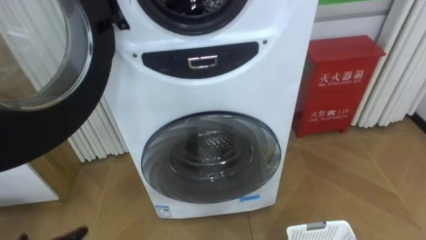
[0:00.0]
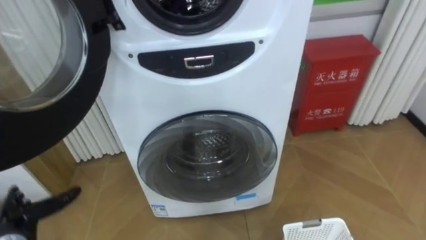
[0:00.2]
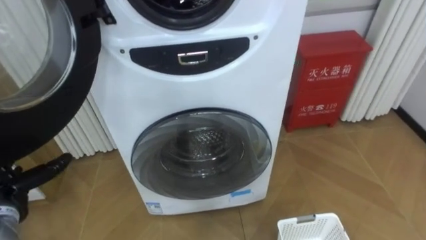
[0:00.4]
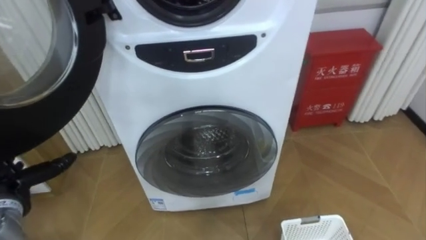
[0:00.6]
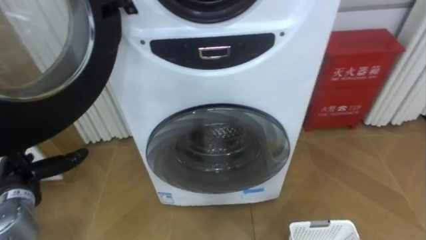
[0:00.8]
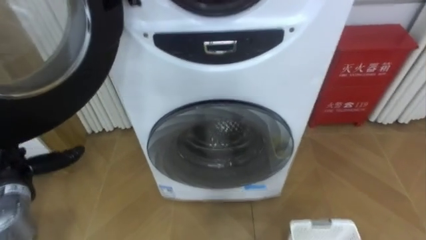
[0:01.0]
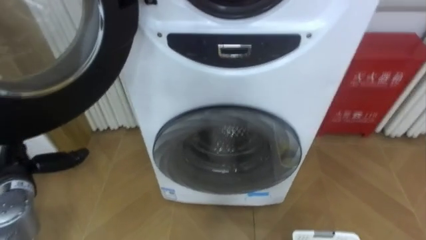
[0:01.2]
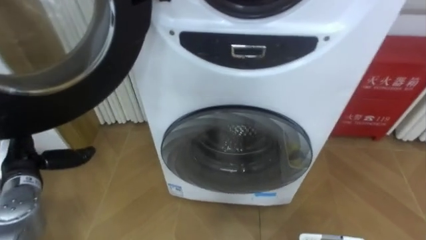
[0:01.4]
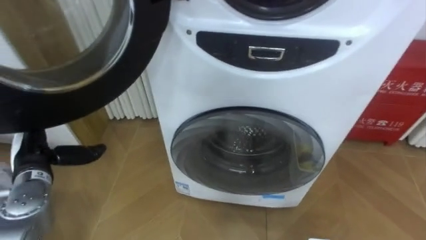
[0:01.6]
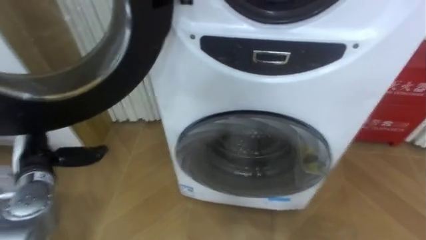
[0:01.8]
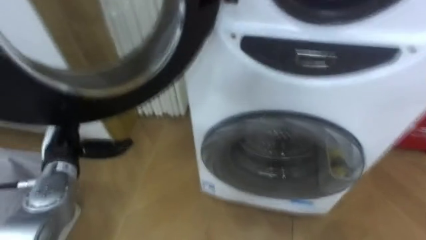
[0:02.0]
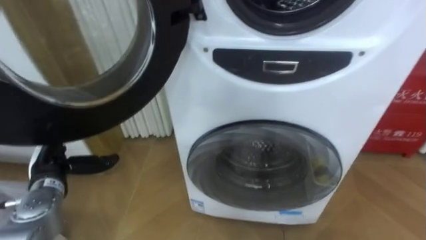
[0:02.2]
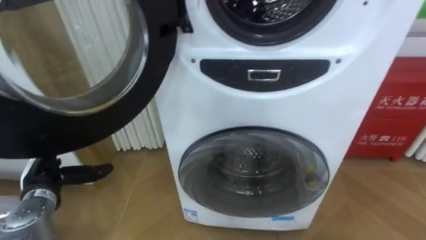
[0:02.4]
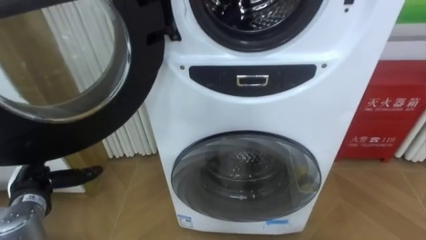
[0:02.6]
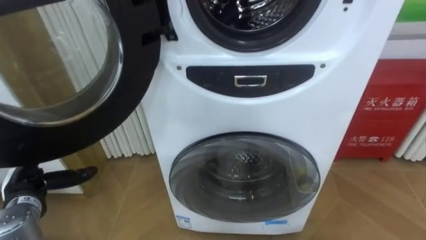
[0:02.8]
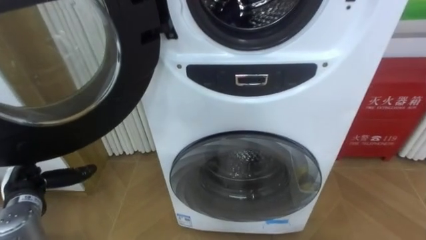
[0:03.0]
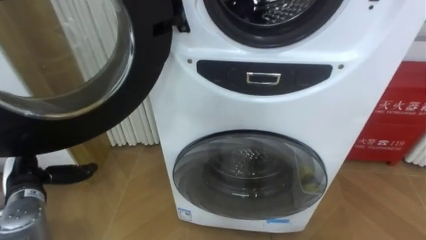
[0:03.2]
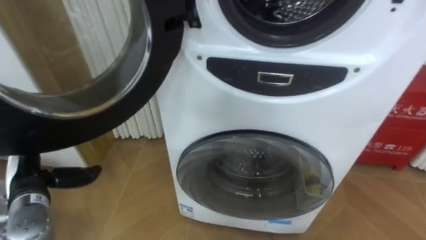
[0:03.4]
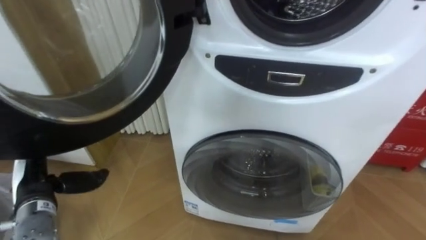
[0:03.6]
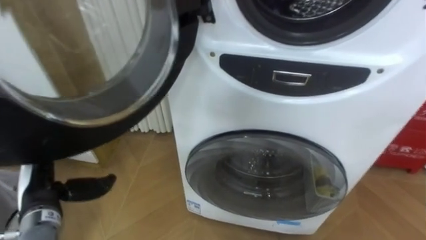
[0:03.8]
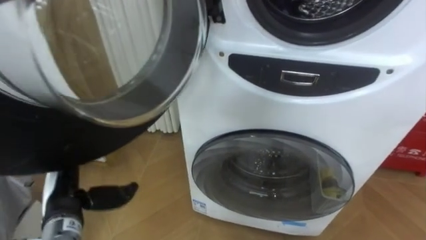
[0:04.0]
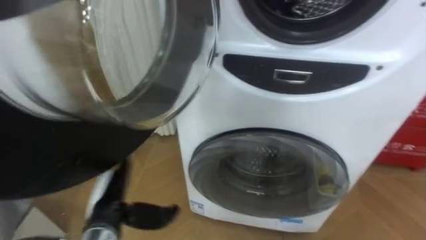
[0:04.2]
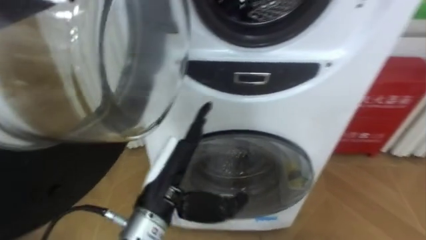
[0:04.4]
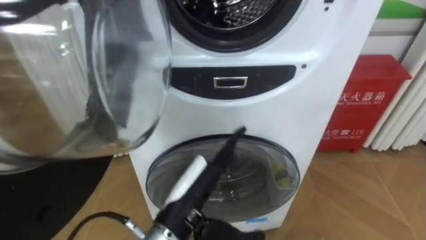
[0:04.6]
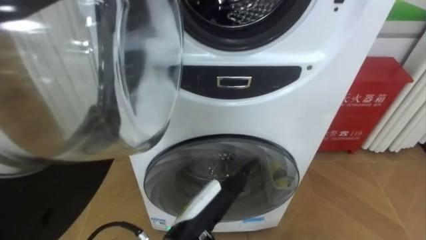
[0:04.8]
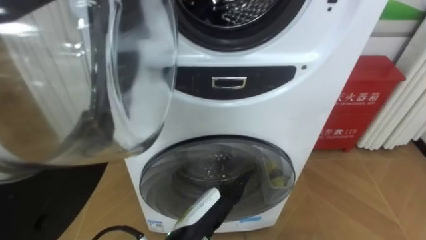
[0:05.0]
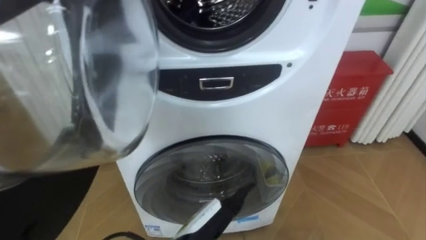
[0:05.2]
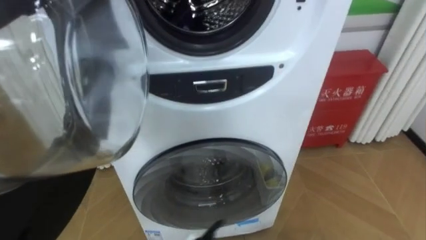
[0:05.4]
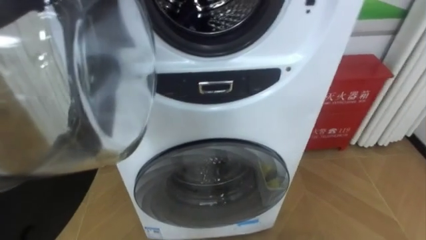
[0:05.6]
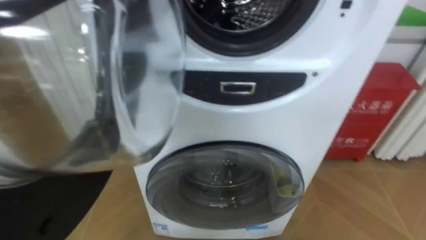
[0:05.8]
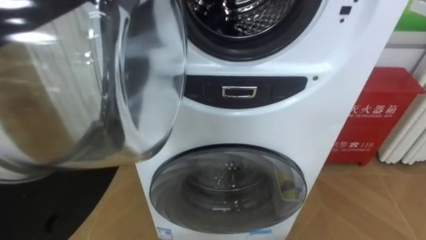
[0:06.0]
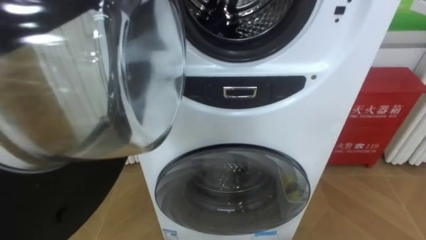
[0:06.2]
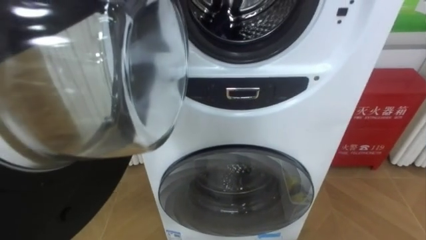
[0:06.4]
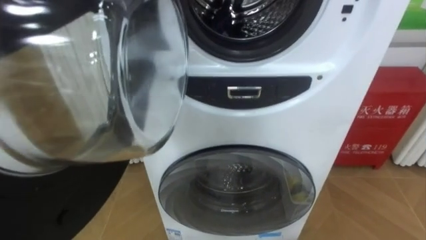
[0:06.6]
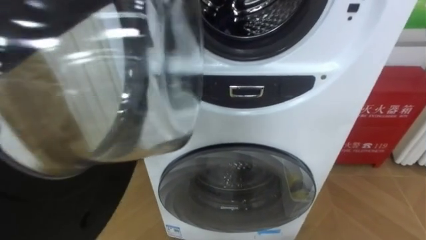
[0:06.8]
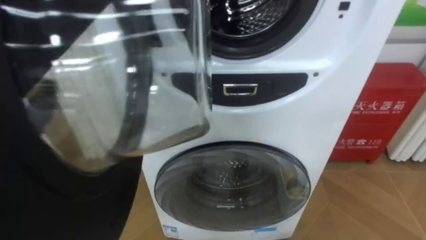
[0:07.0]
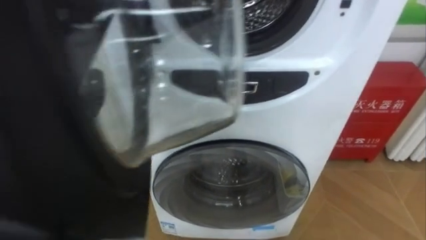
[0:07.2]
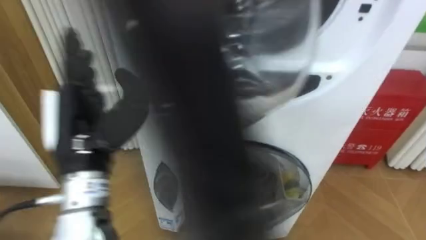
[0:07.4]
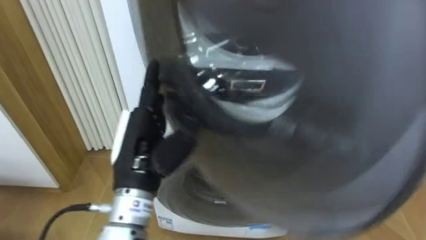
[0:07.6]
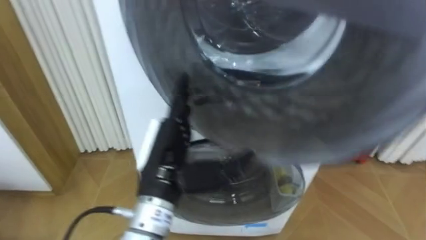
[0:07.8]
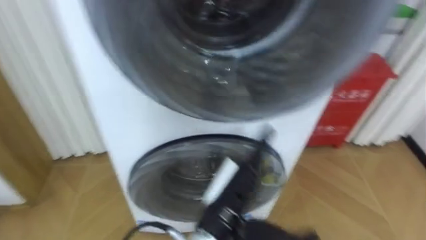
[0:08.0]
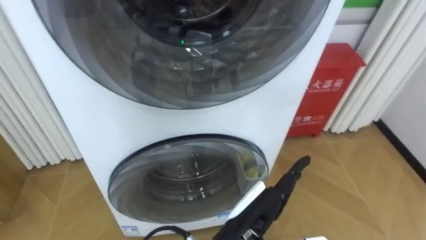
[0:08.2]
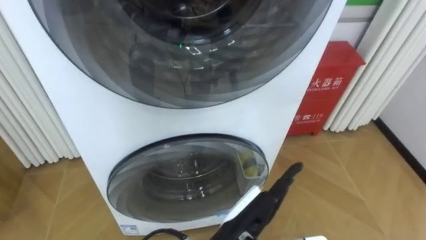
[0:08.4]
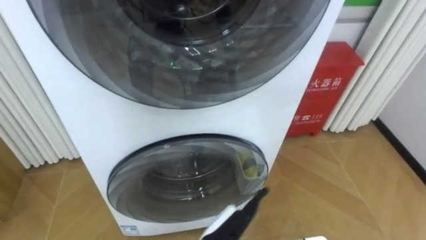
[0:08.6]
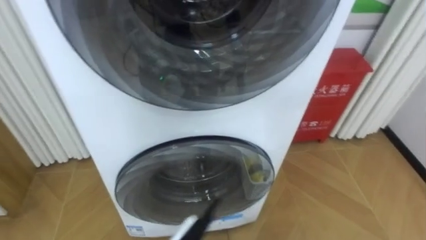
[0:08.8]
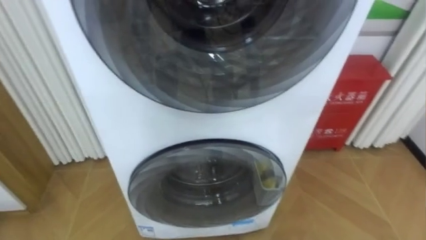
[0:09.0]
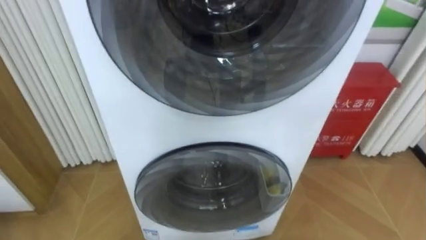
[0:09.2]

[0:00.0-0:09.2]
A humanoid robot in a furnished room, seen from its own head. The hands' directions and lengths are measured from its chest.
Task of the whole recording: Open the washing machine door, take out the yellow clothes, place them in the box on the right, and close the washing machine door.
0:01.6 to 0:03.0: The left hand shifts about 5 cm downward.
0:03.0 to 0:04.6: The left hand heads to the right, covering about 30 cm.

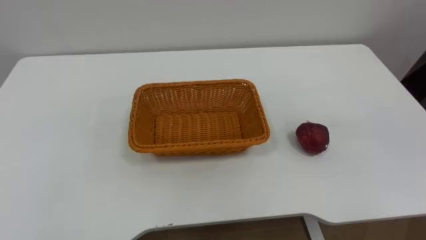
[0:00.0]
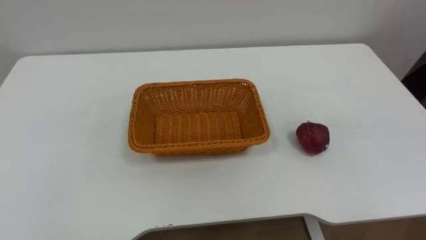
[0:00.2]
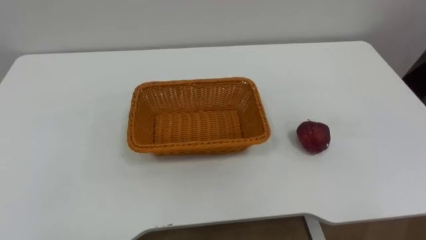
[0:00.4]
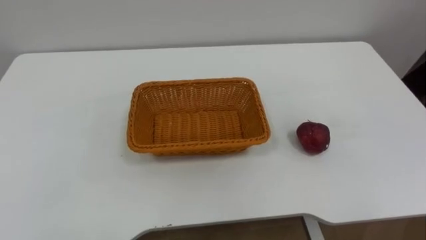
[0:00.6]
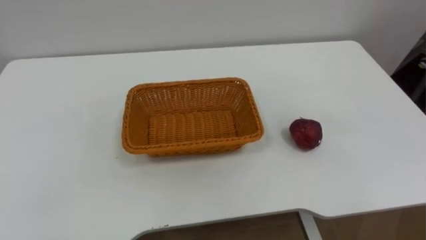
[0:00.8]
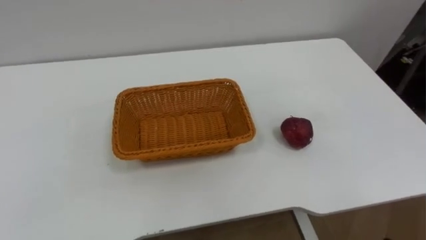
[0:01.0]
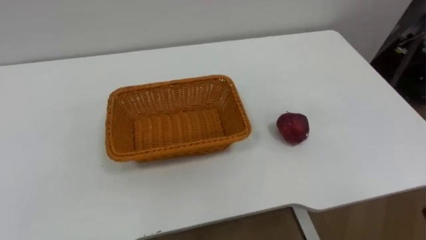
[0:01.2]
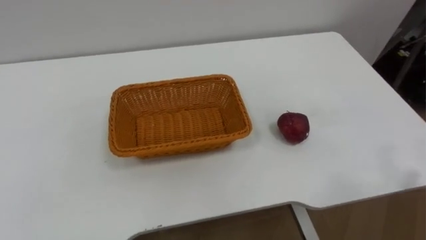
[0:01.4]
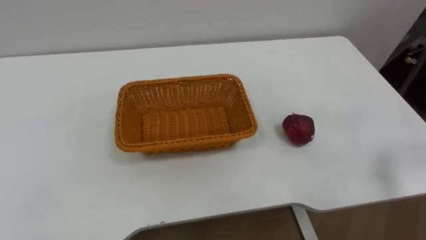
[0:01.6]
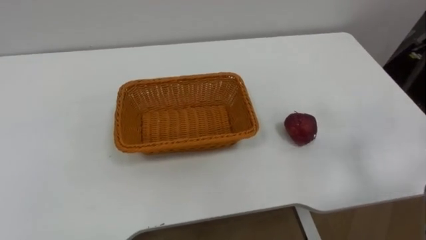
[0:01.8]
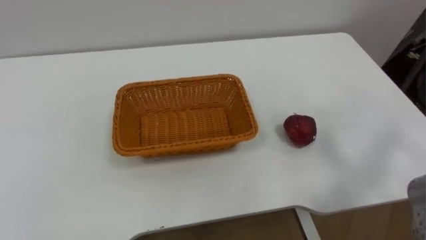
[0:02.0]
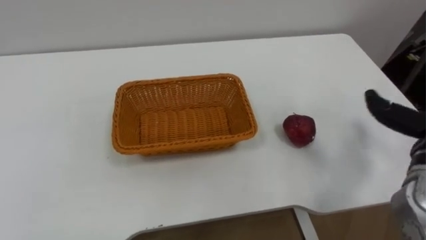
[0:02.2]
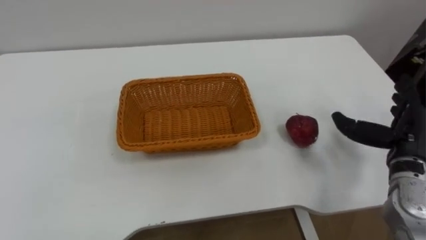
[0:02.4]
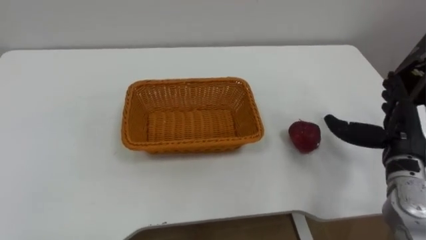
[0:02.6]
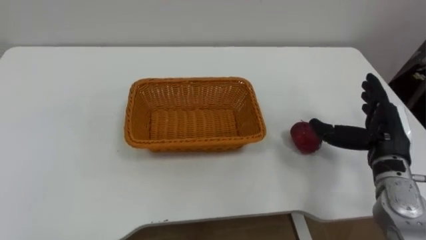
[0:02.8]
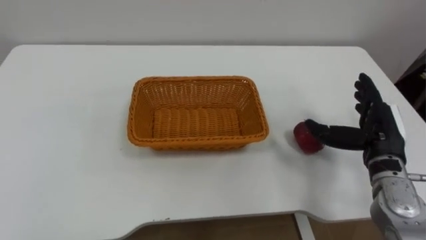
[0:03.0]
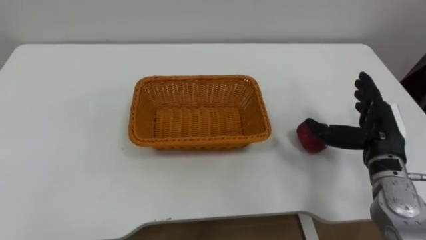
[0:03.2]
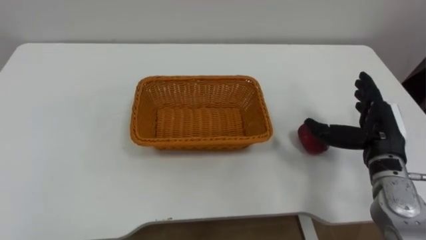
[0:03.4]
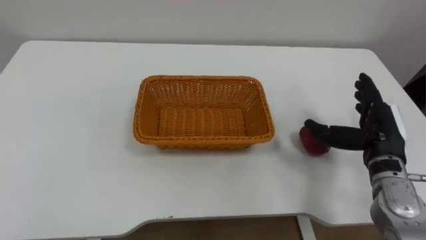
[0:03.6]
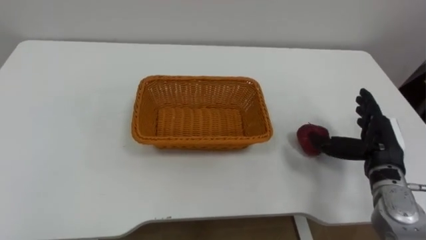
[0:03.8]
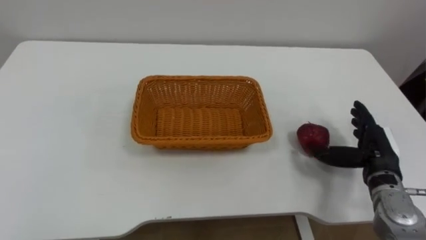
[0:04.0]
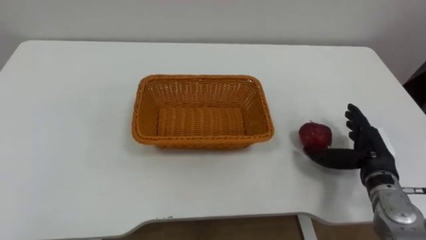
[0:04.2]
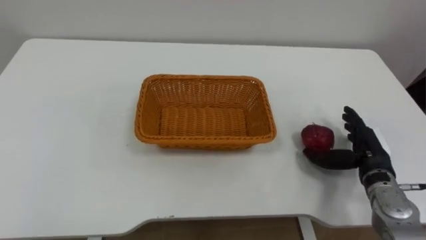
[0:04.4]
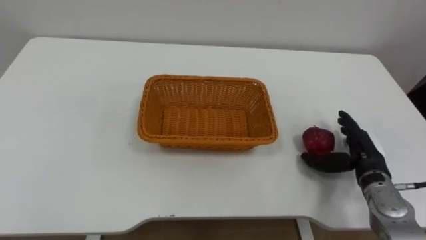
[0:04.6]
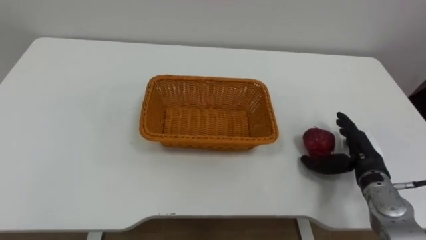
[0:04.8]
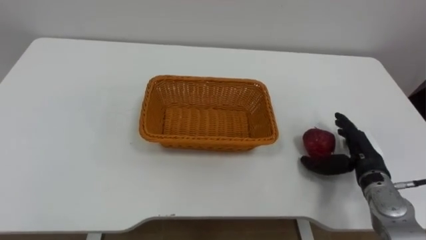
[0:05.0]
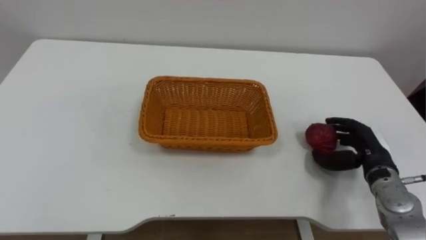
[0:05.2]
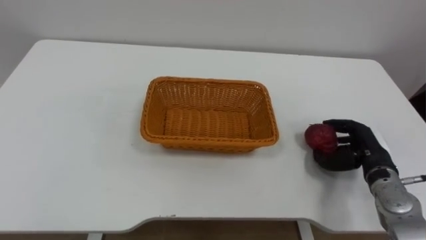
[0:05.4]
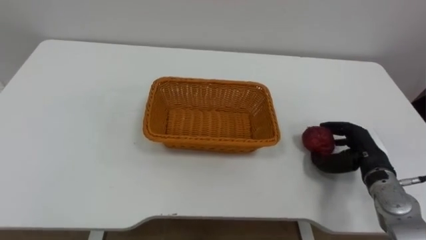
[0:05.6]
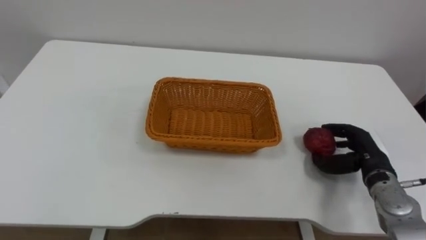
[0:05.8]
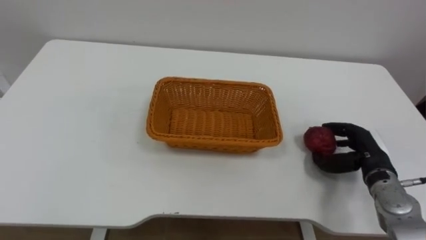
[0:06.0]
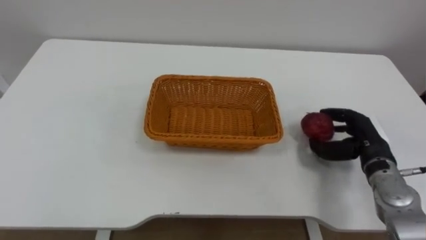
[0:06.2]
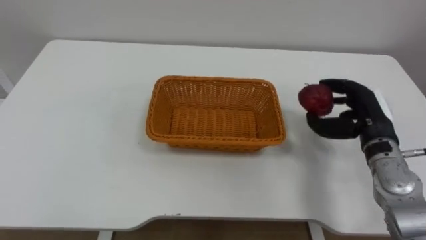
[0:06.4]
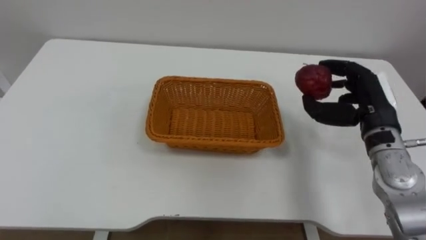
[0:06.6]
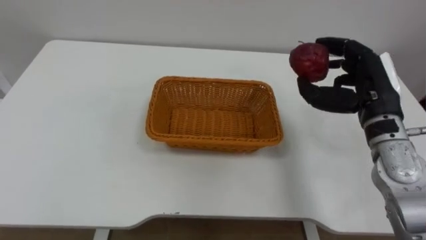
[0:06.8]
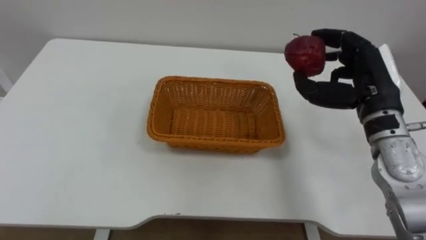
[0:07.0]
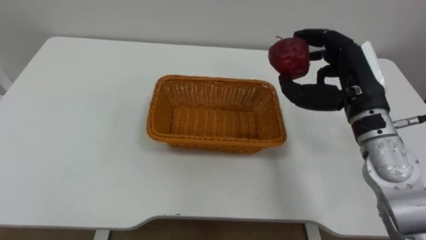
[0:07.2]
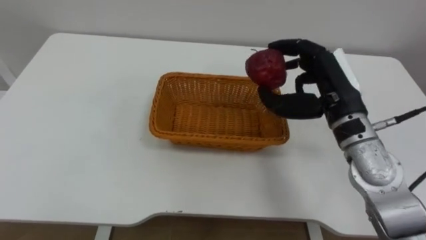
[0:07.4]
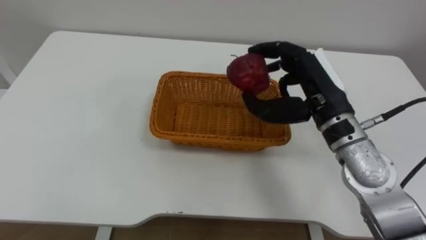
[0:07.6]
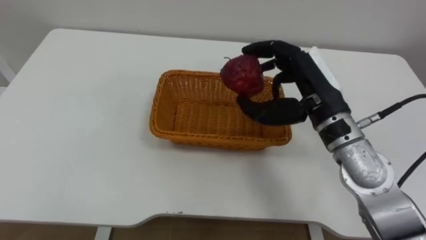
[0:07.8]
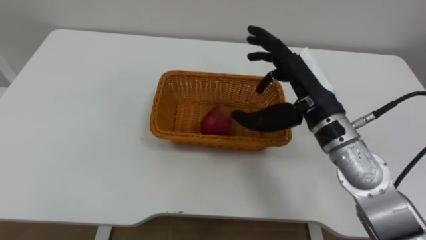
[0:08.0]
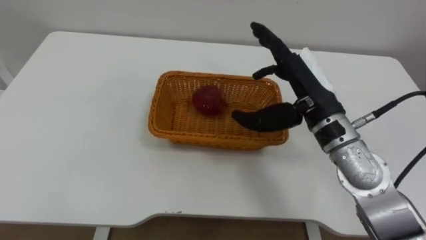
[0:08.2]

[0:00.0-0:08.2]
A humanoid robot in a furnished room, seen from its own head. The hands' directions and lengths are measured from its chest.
Task of the whole recording: Pick the apple and place it in the box.
0:03.2 to 0:05.0: The right hand shifts about 10 cm downward.
0:05.0 to 0:06.6: The right hand goes roughly 10 cm upward, and closes up.
0:06.6 to 0:08.2: The right hand is displaced to the left and upward by about 15 cm, and opens.
